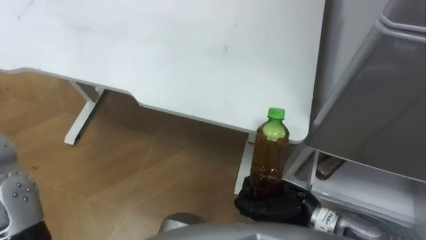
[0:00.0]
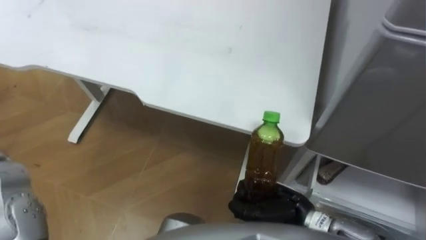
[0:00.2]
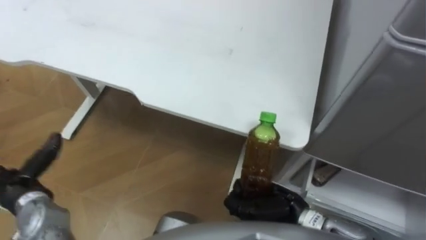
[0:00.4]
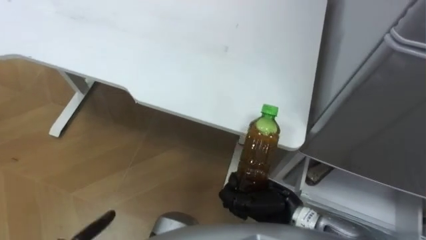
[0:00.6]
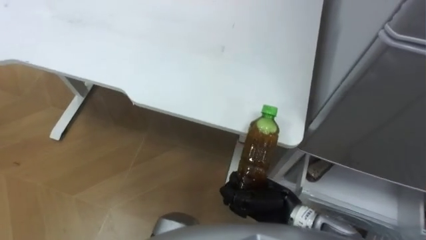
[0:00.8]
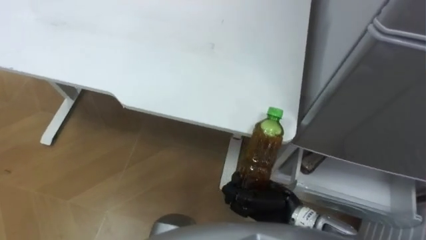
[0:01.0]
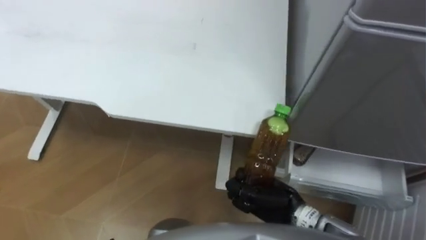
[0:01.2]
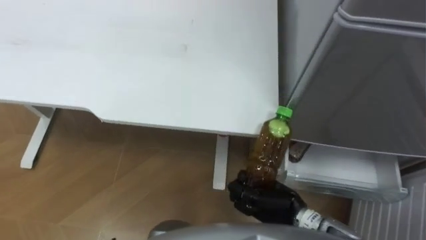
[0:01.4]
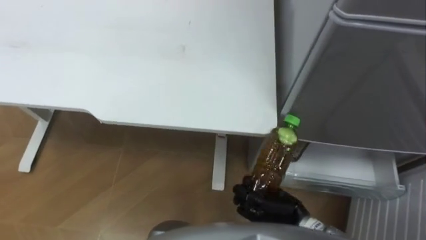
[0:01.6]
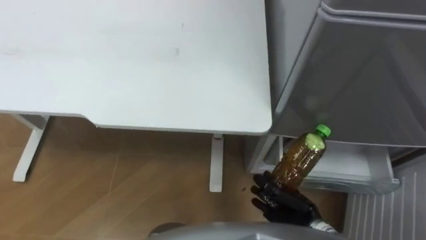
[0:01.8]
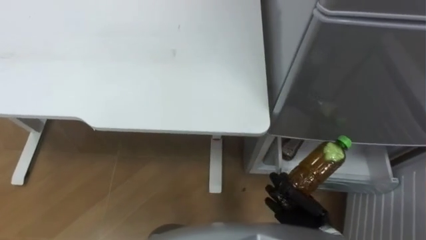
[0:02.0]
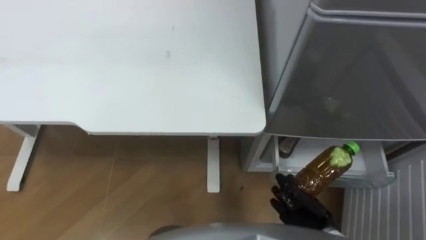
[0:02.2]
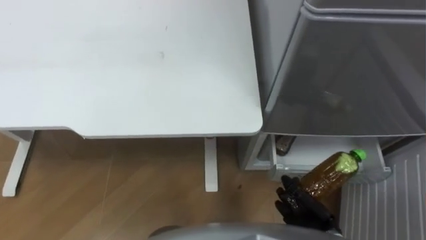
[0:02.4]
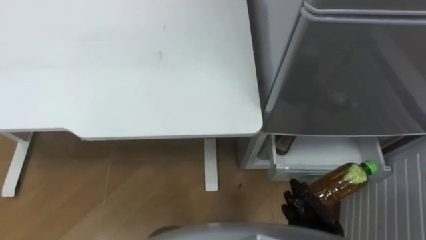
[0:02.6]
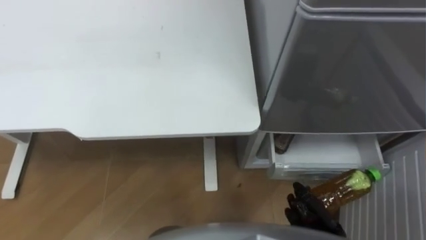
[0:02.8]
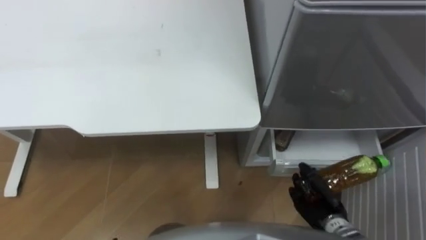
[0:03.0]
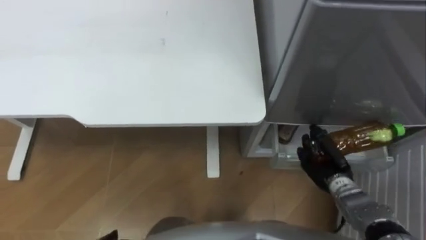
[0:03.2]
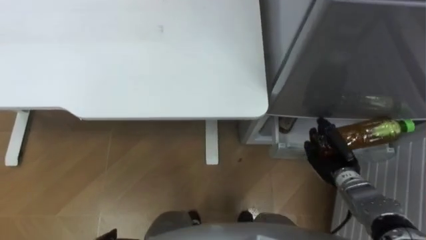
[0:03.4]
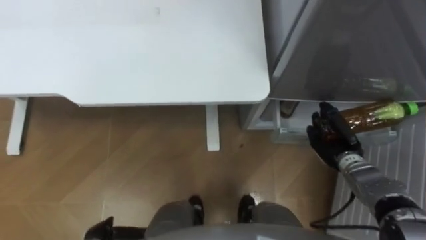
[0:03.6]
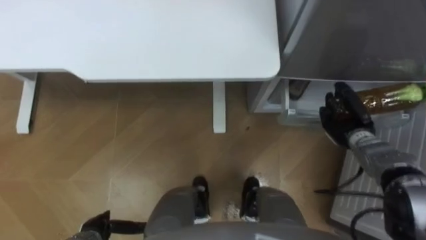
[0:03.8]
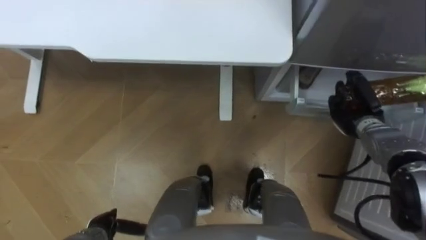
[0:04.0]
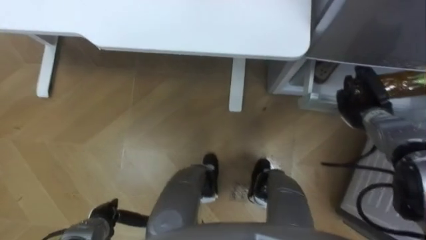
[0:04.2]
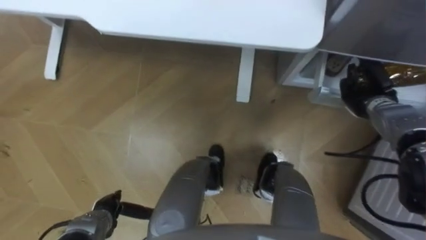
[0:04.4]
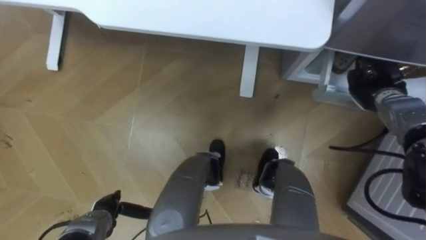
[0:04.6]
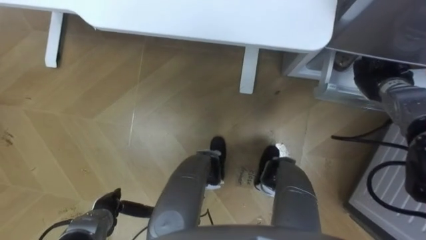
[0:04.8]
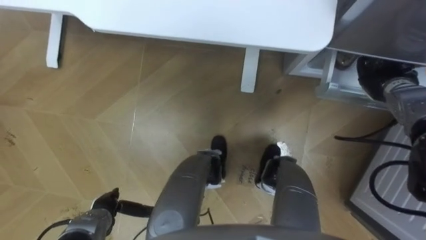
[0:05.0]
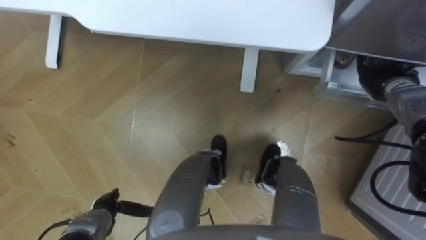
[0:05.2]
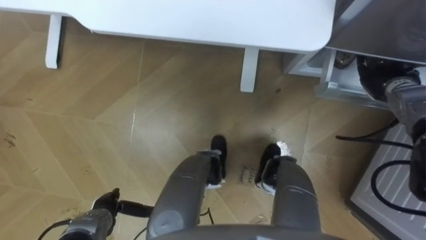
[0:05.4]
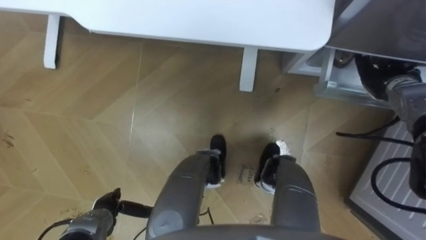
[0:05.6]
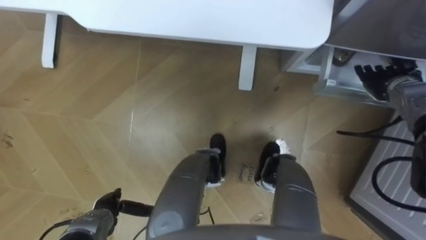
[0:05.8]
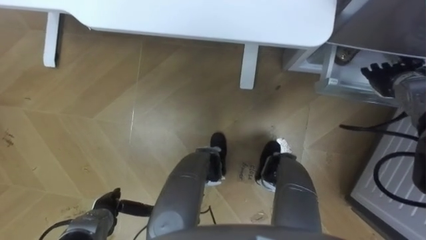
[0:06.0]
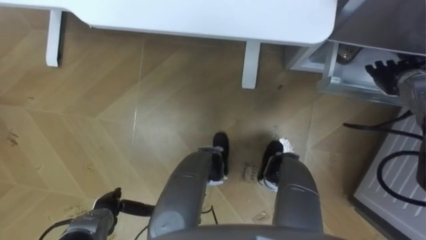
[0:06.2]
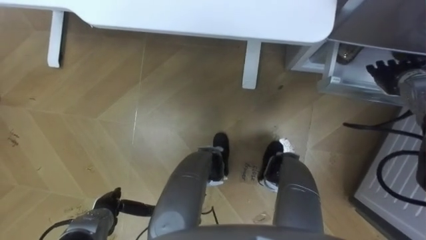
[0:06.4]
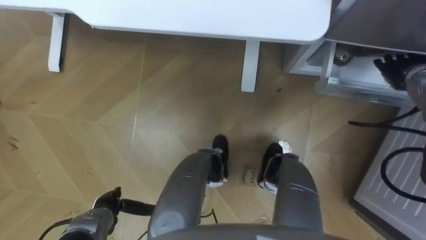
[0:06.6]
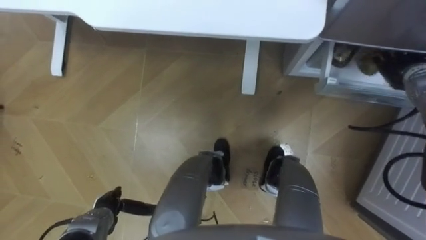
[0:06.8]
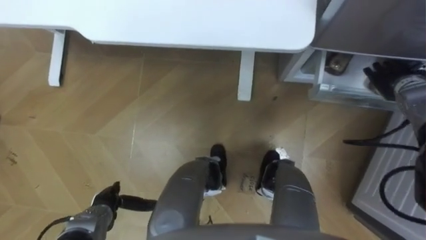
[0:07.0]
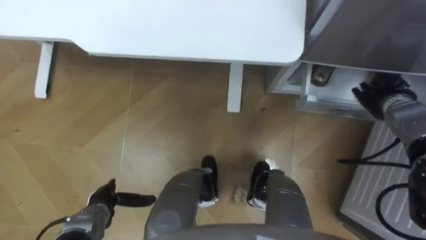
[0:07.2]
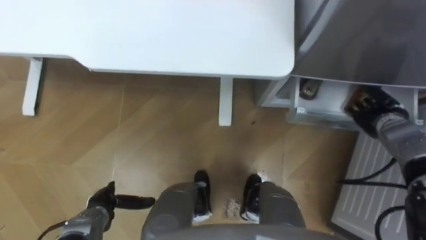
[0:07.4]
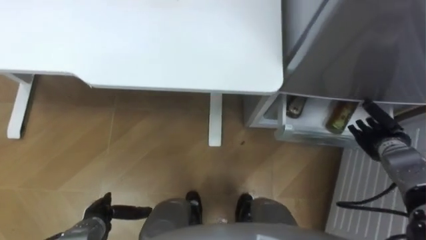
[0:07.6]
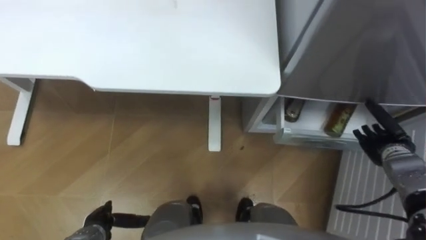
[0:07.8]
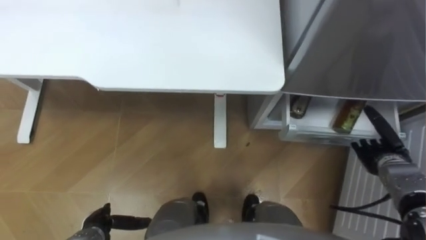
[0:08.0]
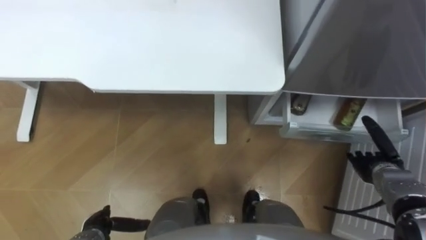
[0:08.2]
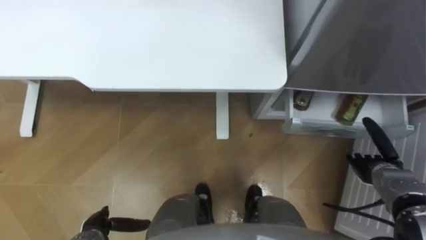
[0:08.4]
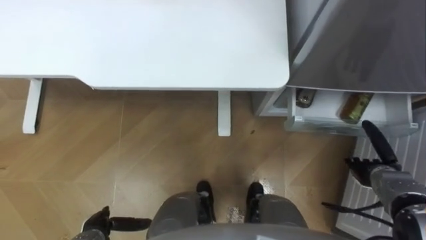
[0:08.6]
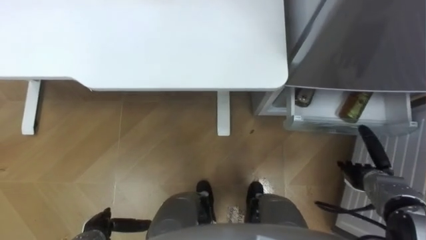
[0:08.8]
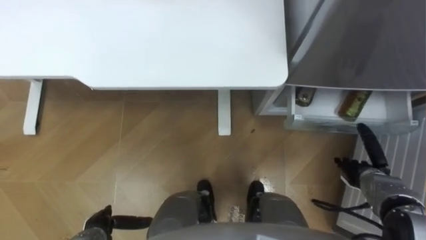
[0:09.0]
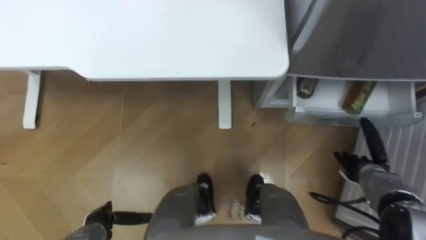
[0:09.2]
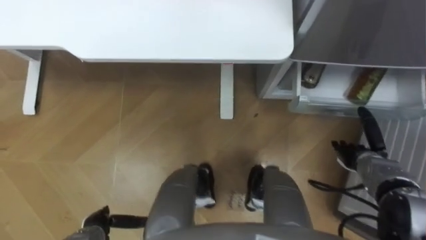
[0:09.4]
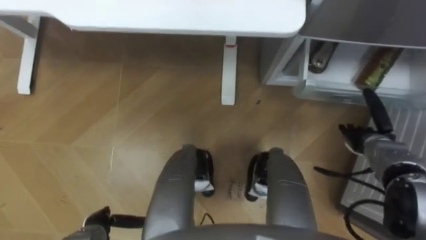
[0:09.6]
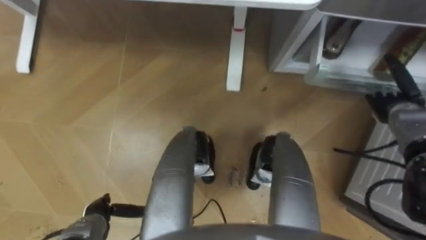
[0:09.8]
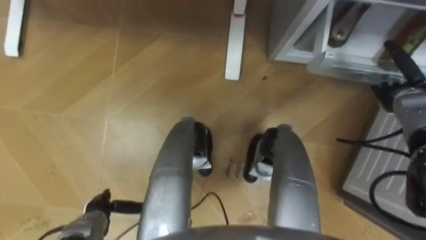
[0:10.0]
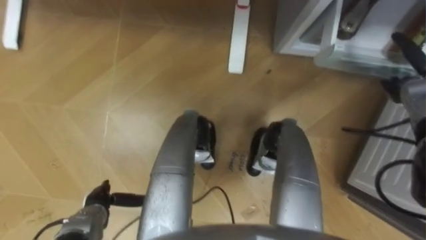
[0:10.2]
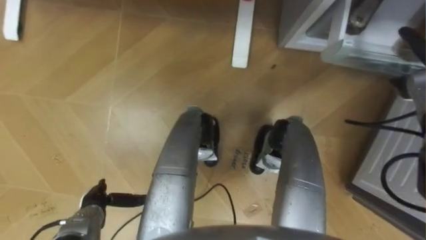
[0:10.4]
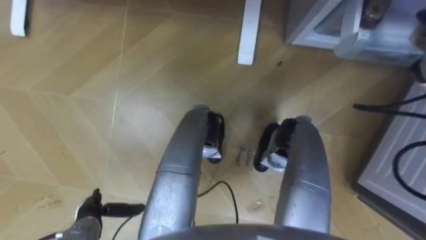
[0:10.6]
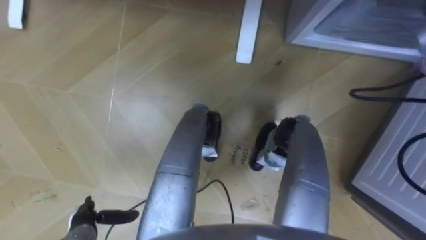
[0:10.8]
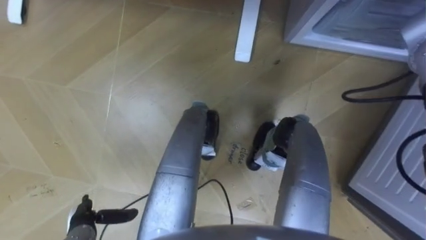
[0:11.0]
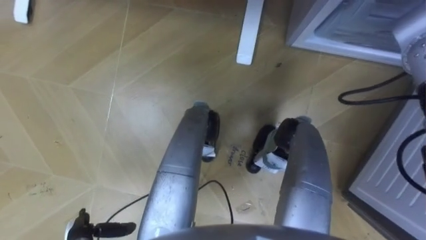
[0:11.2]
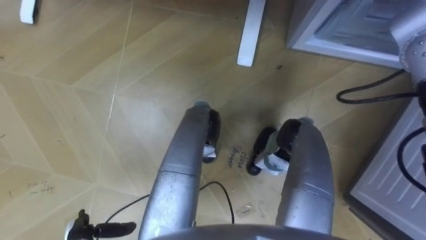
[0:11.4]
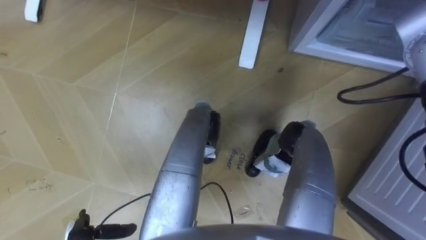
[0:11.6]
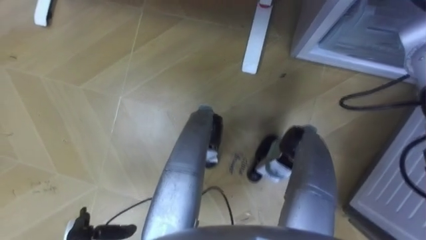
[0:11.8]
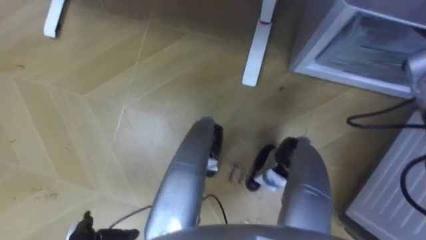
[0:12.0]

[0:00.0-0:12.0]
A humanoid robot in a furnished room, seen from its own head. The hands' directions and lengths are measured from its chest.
Task of the whole recording: Place the drink on the table on the bottom shelf of the refrigerator, then close the drawer and the refrigerator door.
0:01.6 to 0:03.0: The right hand goes approximately 10 cm to the right and downward.
0:03.0 to 0:04.4: The right hand moves forward, upward and to the right, about 25 cm.
0:04.4 to 0:06.0: The right hand shifts by some 5 cm, and opens up.
0:06.0 to 0:07.6: The right hand is displaced backward and downward by approximately 15 cm.
0:07.6 to 0:09.0: The right hand travels backward and downward by approximately 10 cm.
0:09.0 to 0:10.4: The right hand goes roughly 20 cm upward and forward, while the left hand is displaced forward by approximately 5 cm.

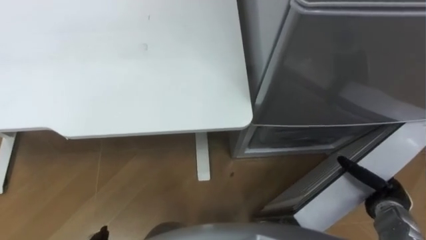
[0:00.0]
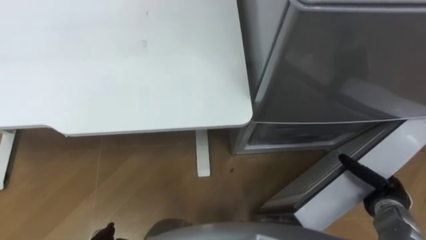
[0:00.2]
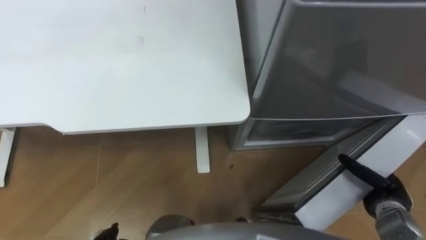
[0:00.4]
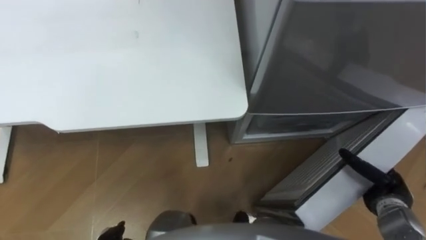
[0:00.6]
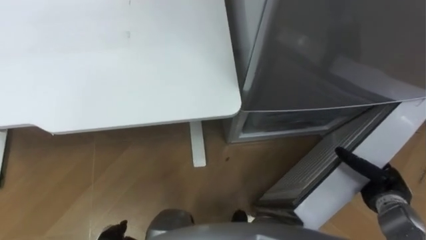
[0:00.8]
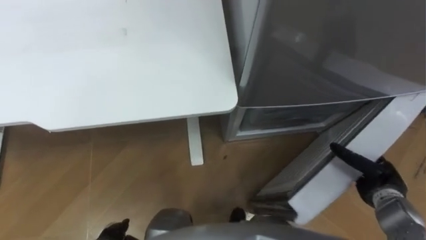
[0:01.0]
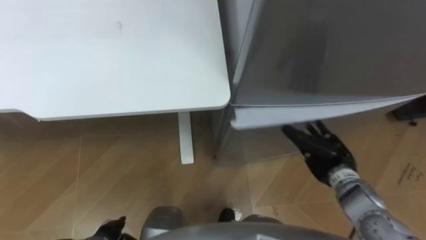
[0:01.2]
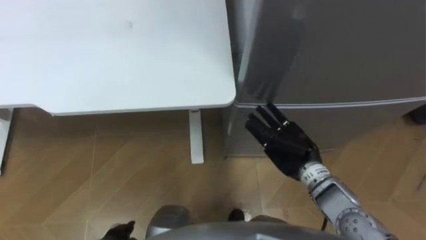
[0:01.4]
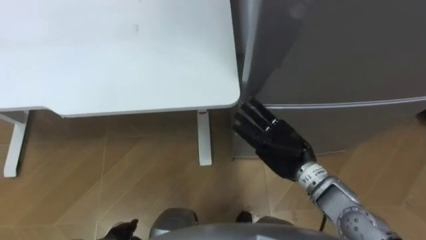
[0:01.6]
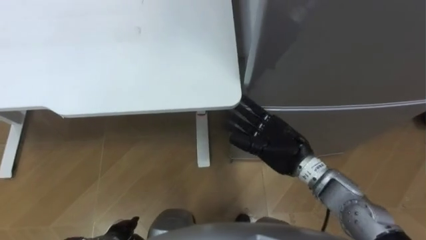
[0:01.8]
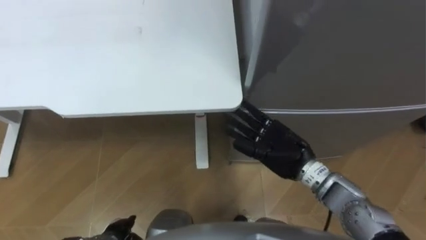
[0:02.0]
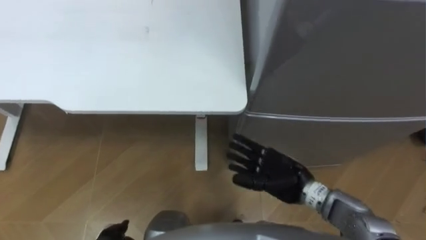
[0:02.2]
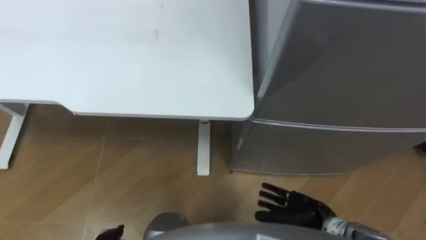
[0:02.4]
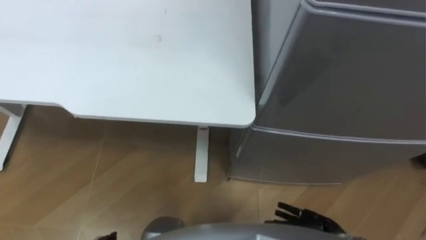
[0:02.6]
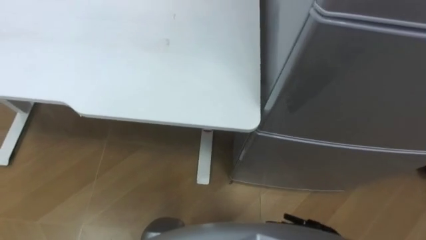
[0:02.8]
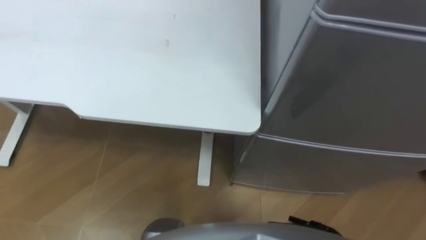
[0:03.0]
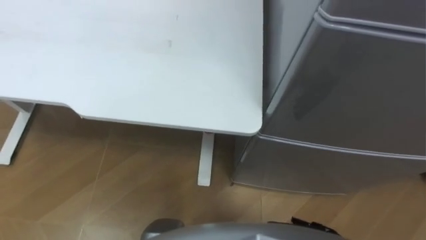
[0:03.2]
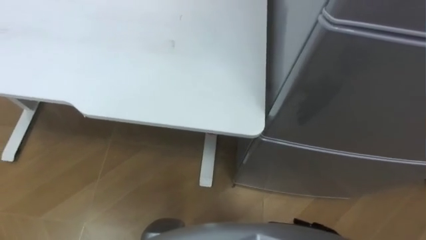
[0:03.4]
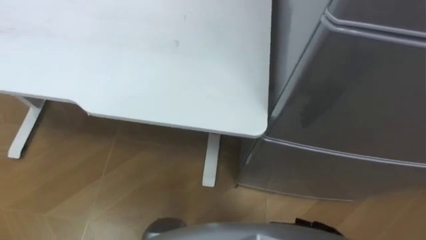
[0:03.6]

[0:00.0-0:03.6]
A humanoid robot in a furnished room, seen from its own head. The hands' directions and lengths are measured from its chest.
Task of the whole recording: Place the drink on the table on the bottom shelf of the refrigerator, then close the drawer and the refrigerator door.
0:00.0 to 0:01.8: The right hand goes roughly 25 cm to the left and upward.

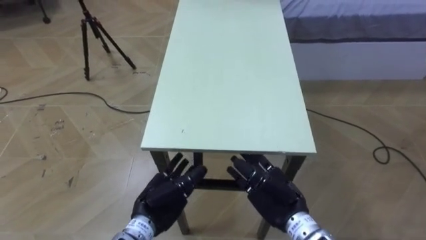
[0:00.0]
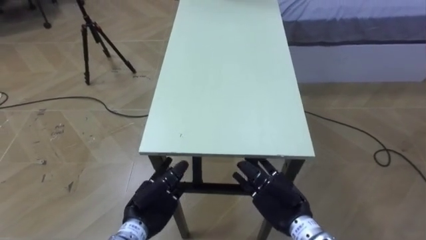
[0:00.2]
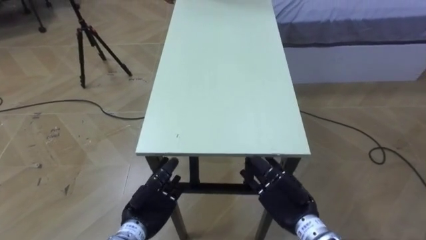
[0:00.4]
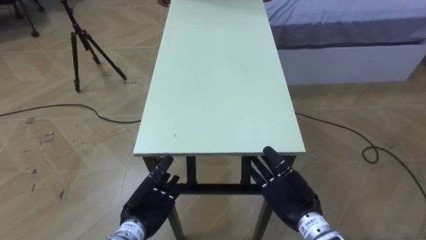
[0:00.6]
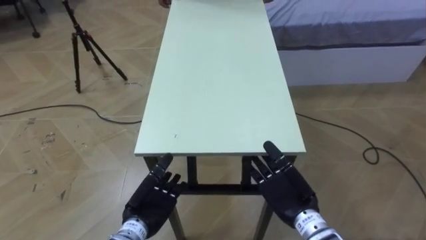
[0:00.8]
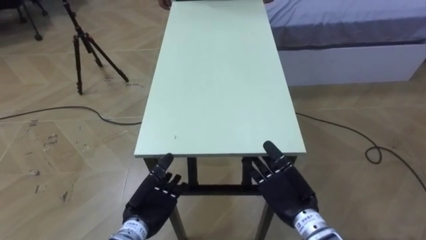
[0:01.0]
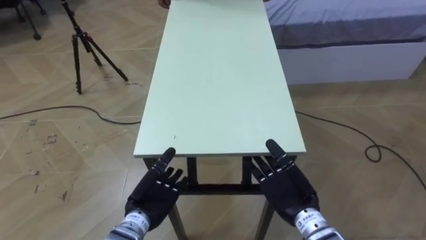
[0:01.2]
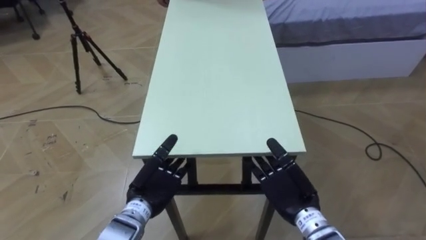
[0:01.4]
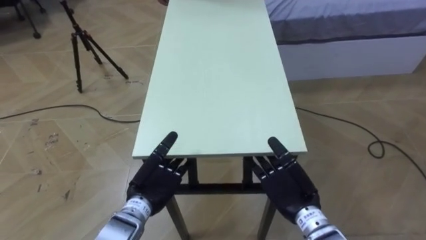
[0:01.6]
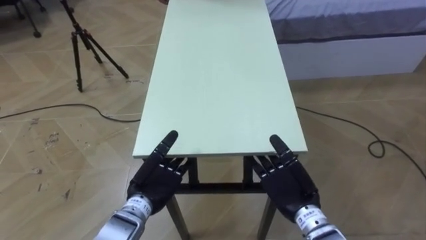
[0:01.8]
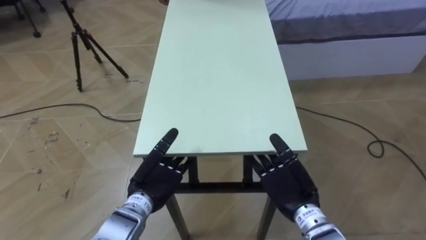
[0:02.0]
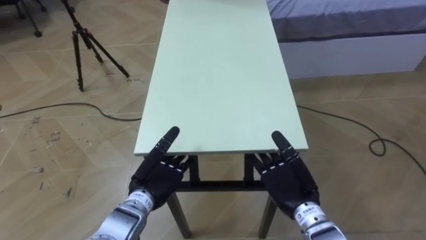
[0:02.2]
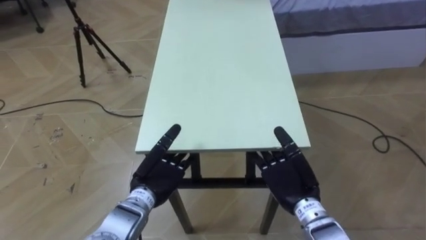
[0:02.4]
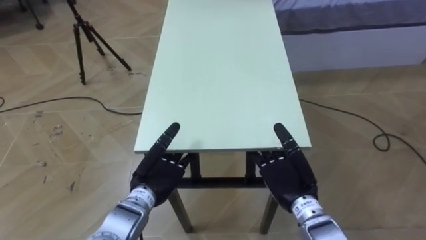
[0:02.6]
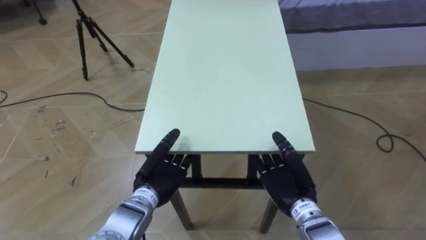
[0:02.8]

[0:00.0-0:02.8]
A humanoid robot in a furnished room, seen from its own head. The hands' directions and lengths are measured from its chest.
Task of the whole recording: Move the table to the back left with someone.
0:01.4 to 0:02.8: The left hand closes its fingers.
